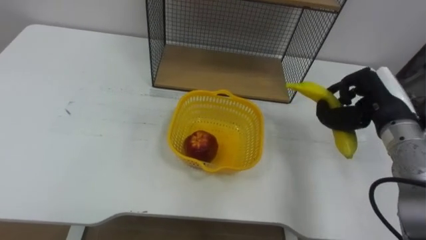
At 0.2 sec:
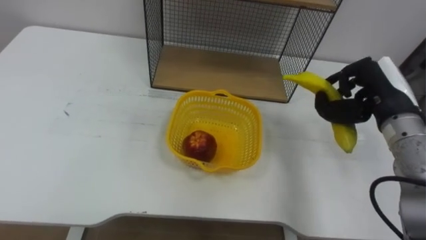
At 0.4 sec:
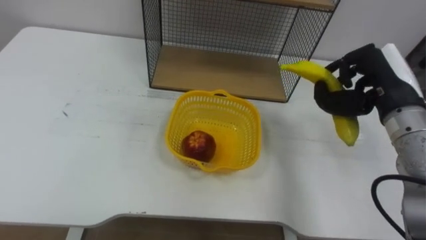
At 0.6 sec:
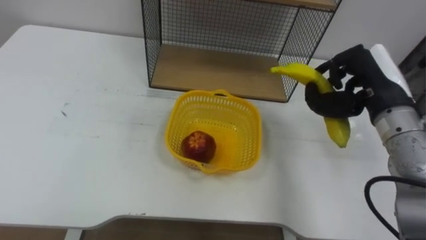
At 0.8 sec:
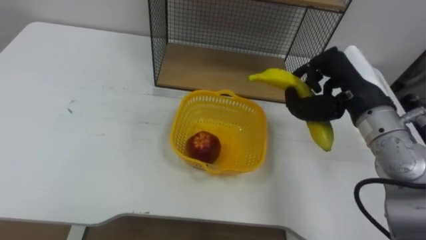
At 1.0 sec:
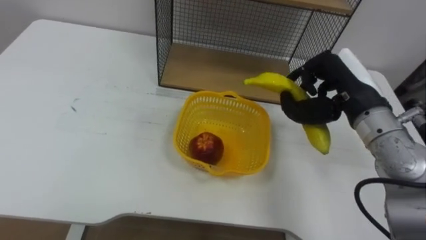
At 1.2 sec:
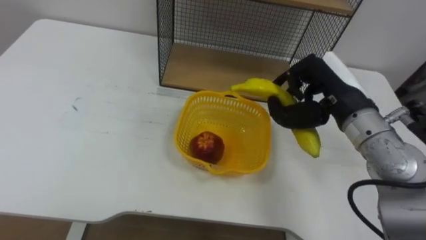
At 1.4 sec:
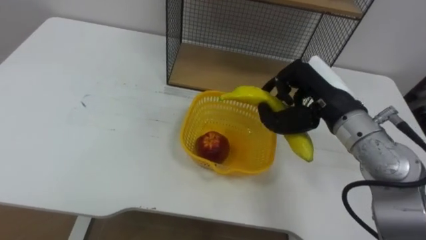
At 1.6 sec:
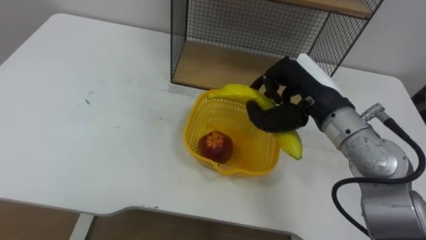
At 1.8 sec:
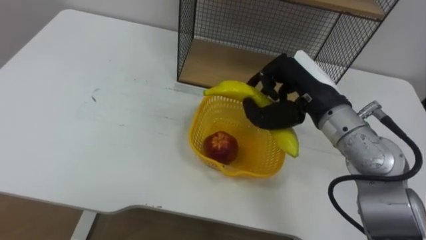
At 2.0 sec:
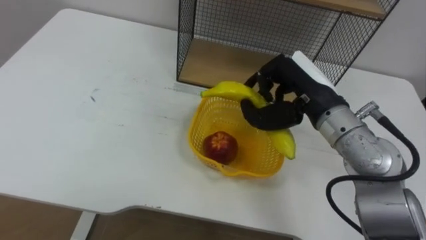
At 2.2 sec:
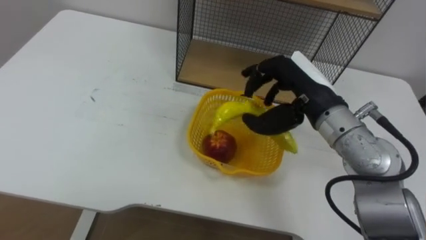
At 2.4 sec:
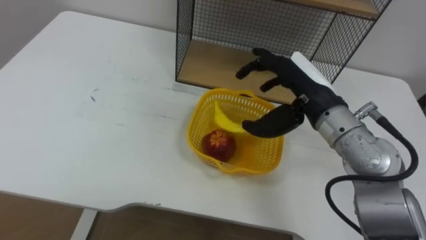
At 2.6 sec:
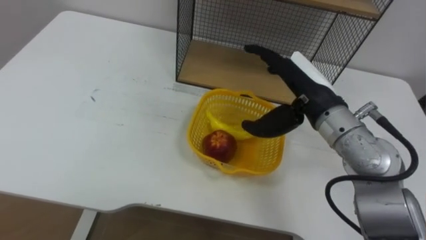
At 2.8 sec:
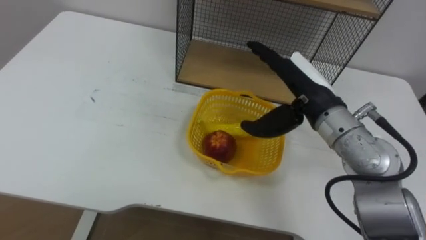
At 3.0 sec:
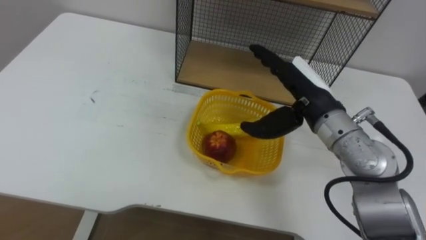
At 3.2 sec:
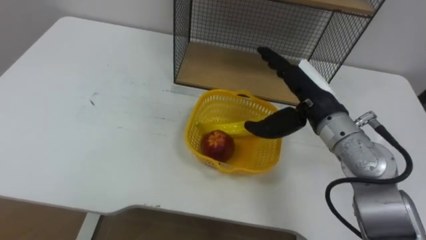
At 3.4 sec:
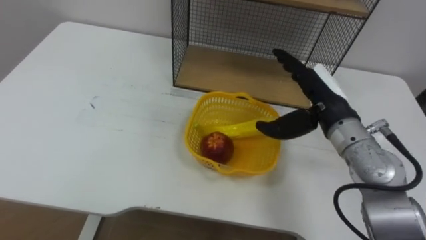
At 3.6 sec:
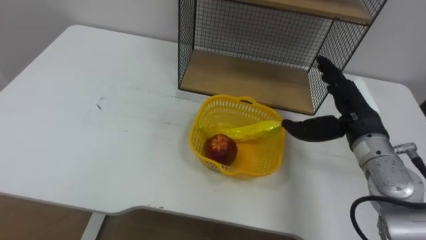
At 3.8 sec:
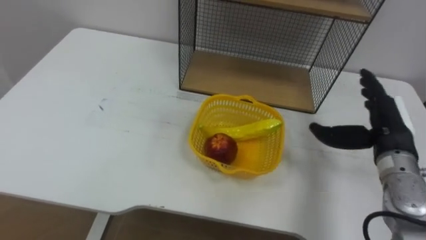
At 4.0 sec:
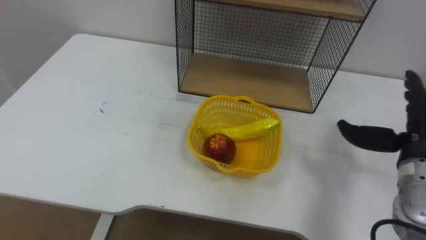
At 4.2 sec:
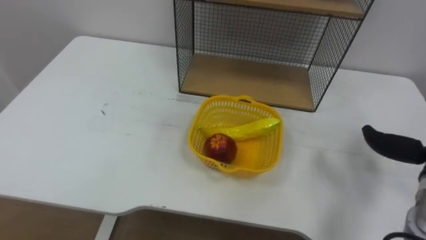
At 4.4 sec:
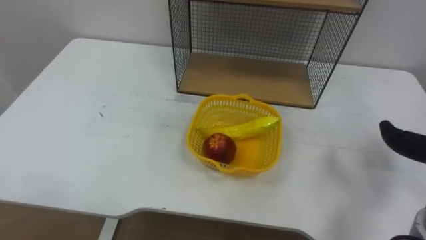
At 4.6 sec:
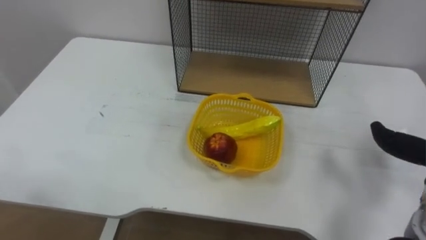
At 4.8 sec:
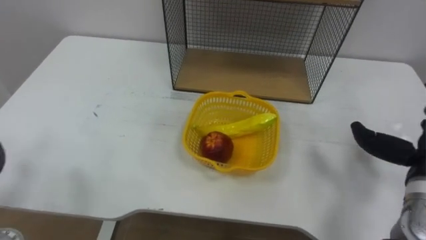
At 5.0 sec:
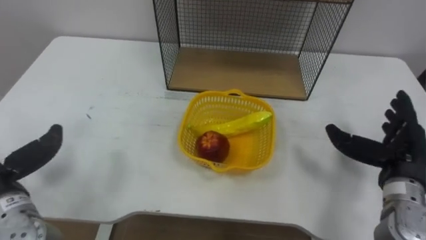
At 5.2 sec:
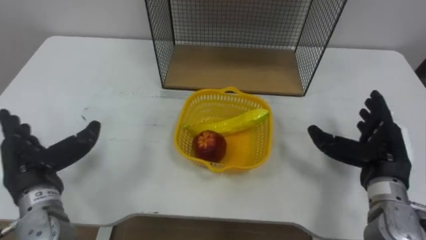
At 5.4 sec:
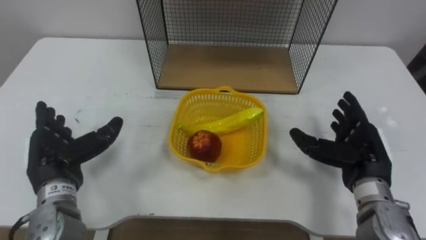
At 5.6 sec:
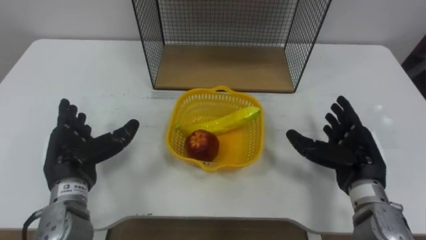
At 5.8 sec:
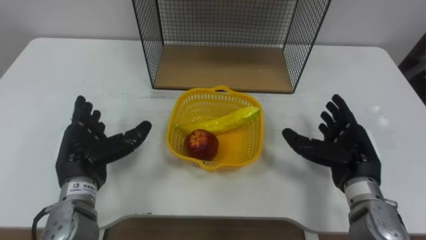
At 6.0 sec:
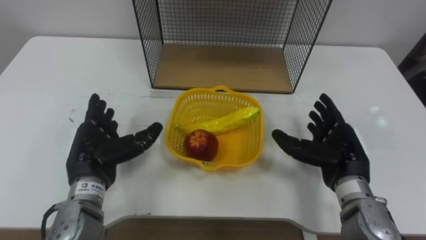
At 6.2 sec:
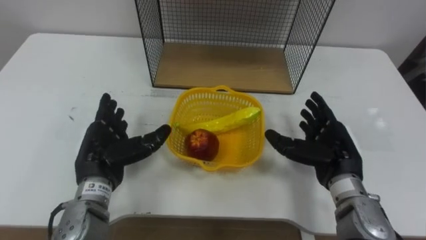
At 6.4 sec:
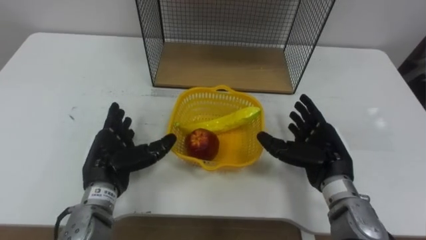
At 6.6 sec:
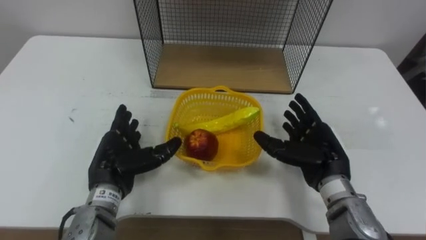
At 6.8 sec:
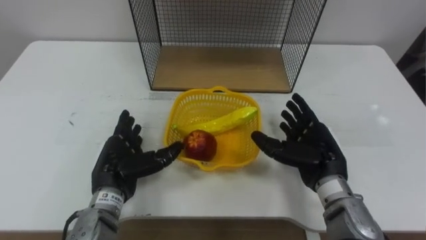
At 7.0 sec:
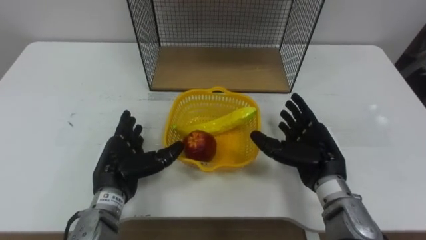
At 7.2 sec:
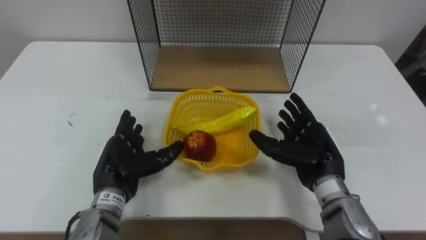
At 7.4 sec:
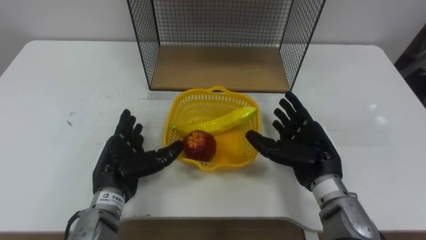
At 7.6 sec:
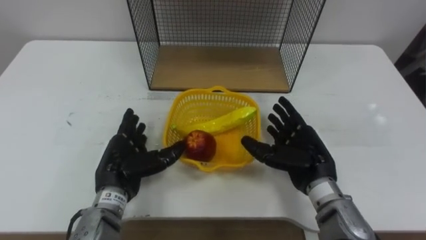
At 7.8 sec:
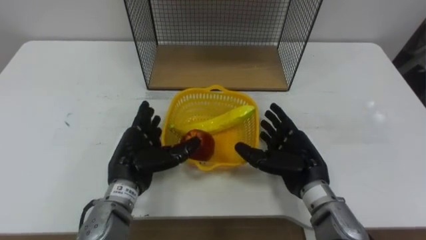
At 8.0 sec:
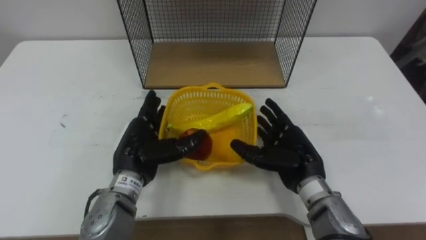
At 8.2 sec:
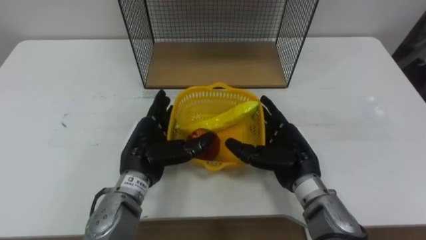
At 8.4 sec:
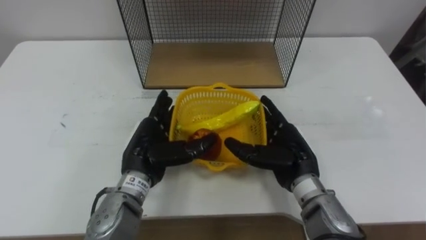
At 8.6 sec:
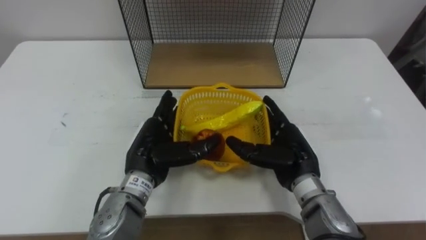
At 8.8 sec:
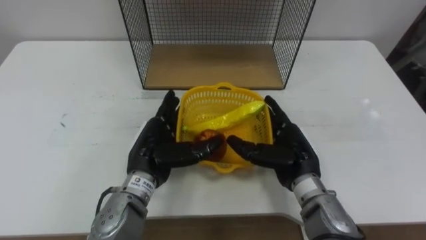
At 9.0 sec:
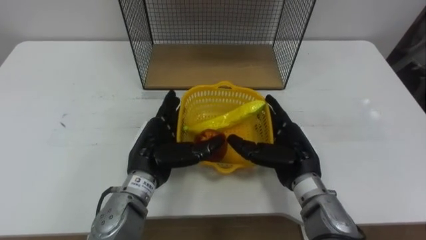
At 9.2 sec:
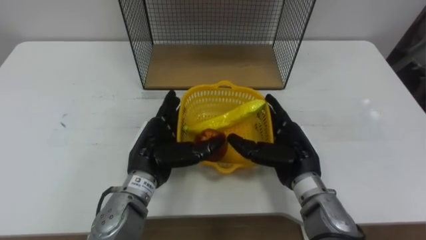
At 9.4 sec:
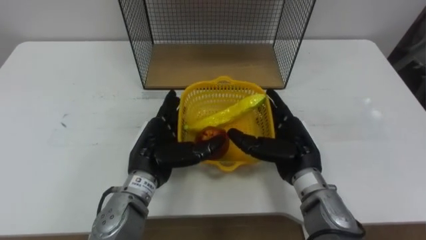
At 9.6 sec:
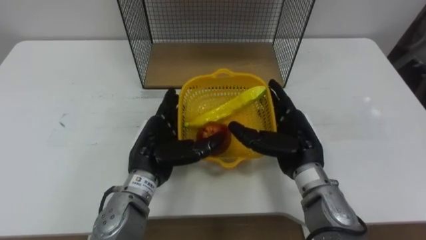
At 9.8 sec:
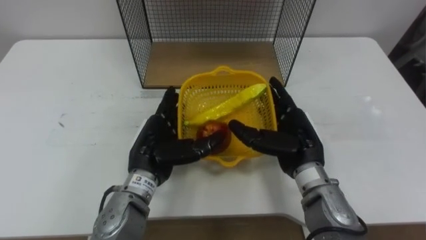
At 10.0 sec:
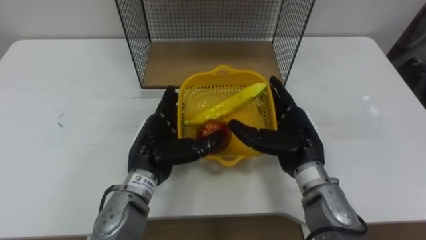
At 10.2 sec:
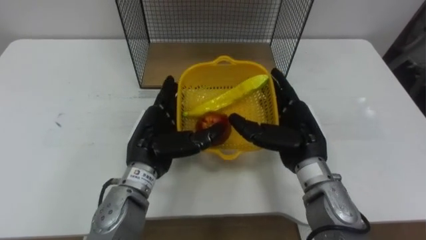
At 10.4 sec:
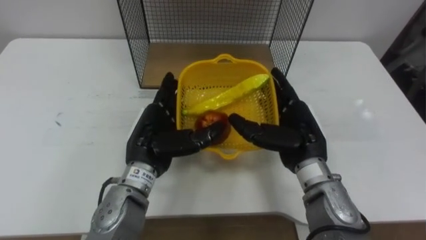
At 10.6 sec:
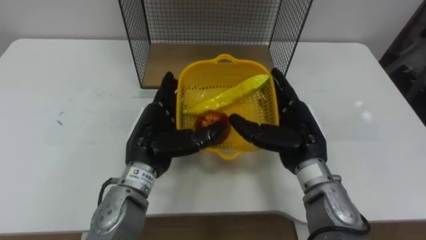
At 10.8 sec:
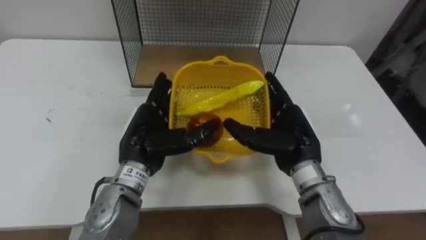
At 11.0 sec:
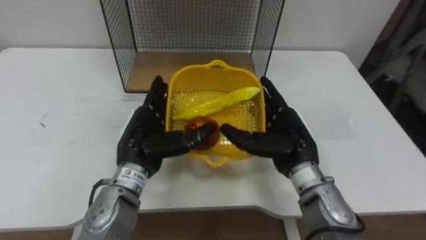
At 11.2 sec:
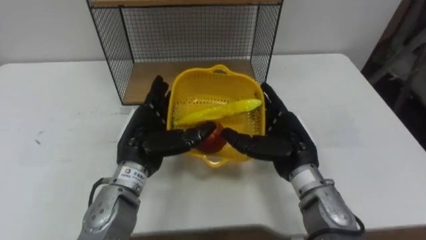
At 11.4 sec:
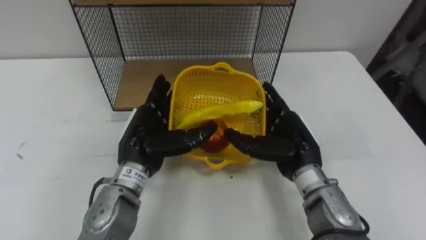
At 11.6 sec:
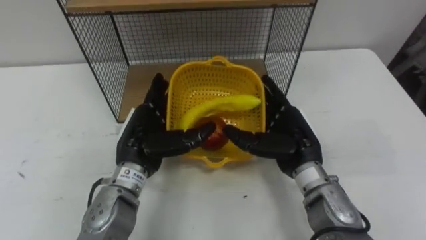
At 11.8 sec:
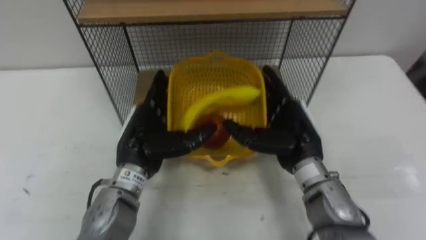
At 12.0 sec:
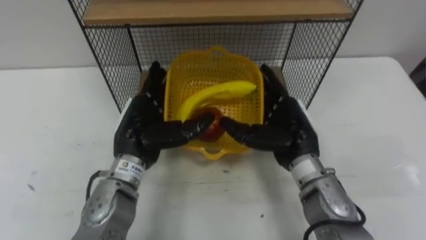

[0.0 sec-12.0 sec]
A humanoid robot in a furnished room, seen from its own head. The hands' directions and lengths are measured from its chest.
Task of the whole recording: Put the fruit on the table into the basket, then place the basket on the shelf.
0.0 sec to 1.6 sec: The right hand heads to the left, covering some 10 cm.
1.6 sec to 3.0 sec: The right hand opens its fingers.
6.0 sec to 7.6 sec: The right hand travels to the left by roughly 5 cm. Meanwhile the left hand changes place by some 5 cm.
7.6 sec to 9.0 sec: The left hand goes roughly 5 cm to the right.

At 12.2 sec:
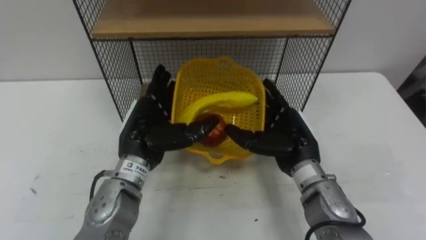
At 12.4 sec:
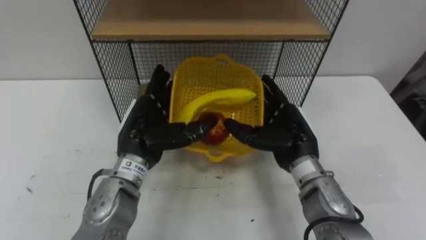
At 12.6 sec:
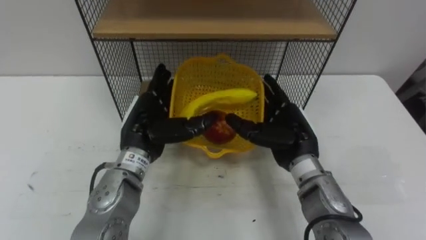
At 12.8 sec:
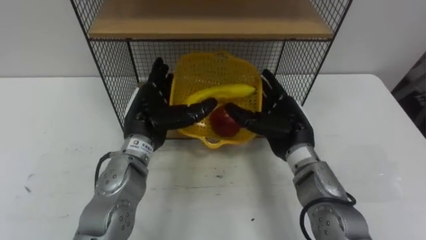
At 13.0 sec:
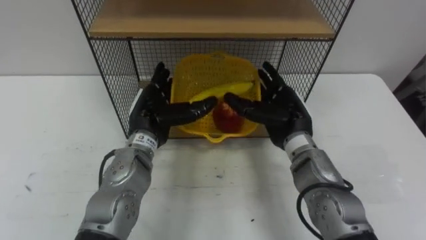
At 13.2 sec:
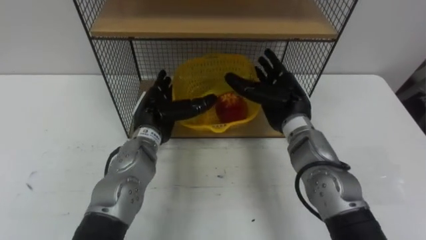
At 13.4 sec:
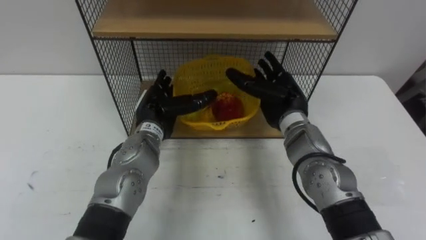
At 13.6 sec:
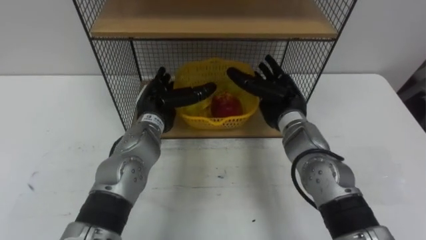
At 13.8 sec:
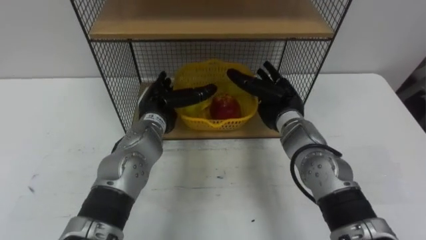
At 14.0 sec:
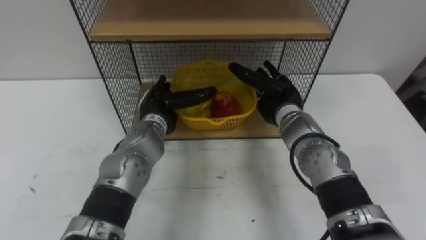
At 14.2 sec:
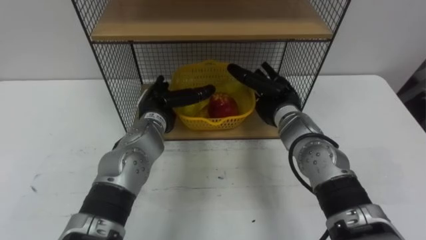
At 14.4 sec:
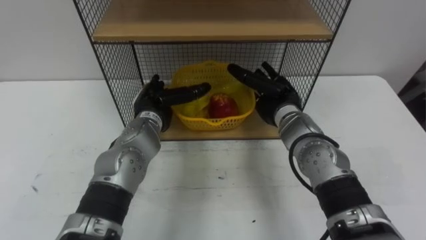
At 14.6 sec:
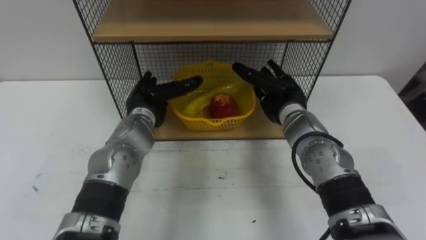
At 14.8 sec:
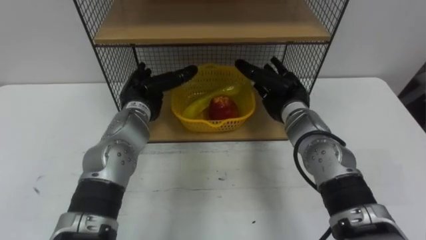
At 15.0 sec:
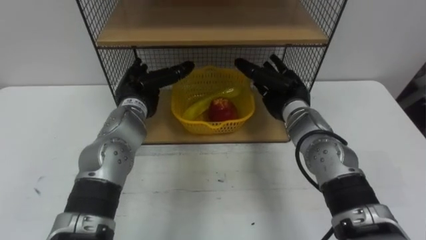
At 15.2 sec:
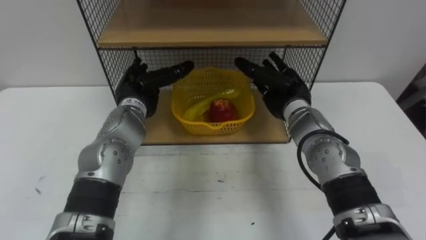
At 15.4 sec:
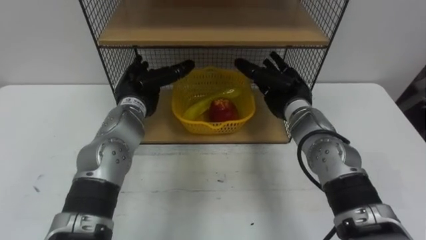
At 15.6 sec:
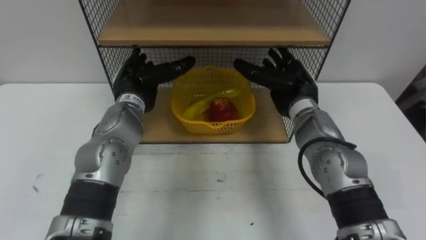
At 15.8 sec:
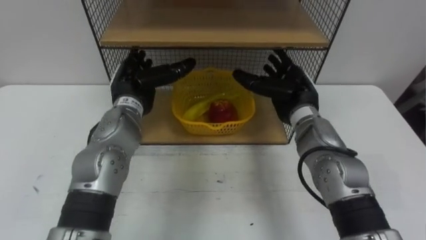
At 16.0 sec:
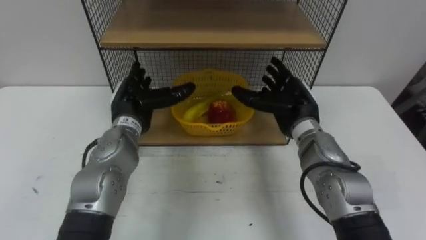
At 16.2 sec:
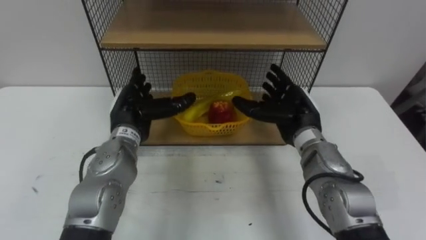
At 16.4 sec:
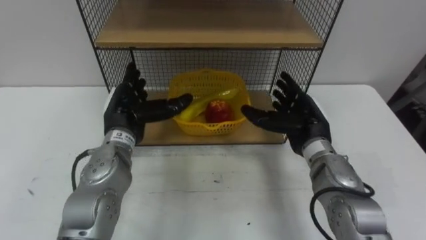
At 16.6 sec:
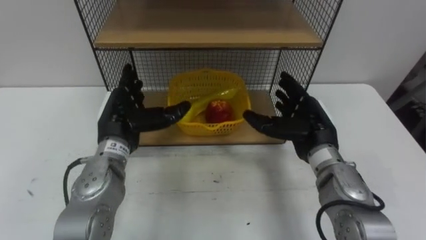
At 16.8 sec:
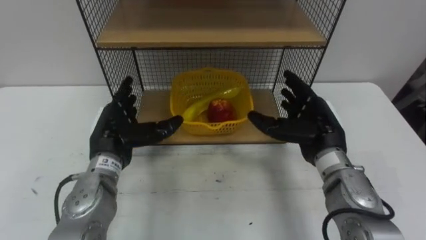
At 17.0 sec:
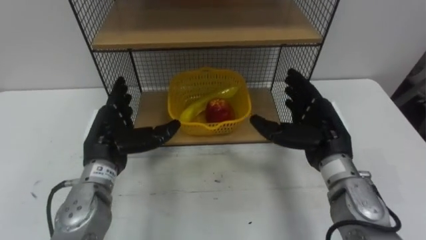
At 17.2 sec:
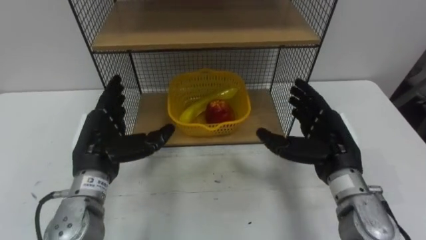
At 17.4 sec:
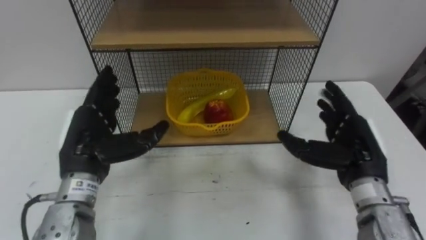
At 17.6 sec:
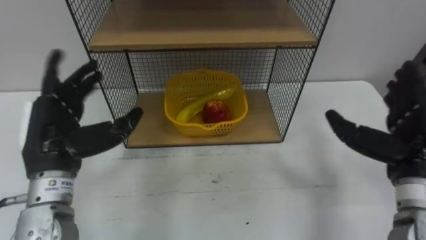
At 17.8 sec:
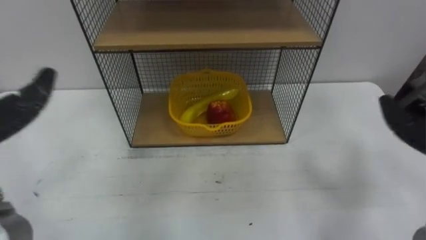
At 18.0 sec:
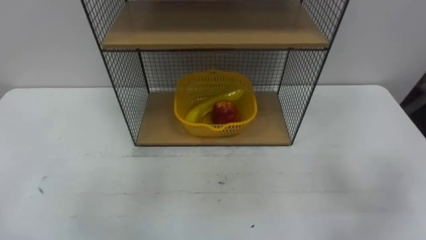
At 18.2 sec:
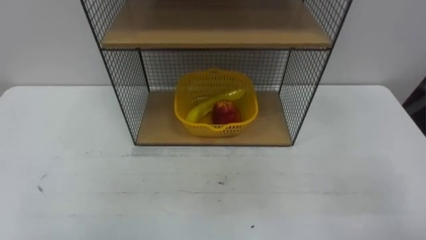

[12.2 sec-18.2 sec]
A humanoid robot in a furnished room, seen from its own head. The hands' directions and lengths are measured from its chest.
Task of the whole recording: Put the fruit on the table into the basket, then place the basket on the shelf.
12.2 sec to 13.8 sec: The two hands go roughly 10 cm forward.
13.8 sec to 15.2 sec: The left hand moves roughly 5 cm.
15.2 sec to 16.6 sec: Both hands move backward, some 5 cm.
